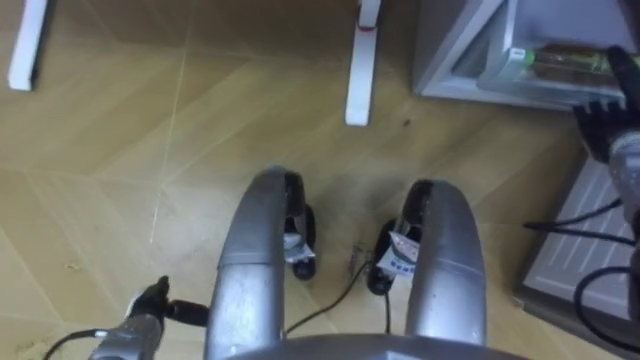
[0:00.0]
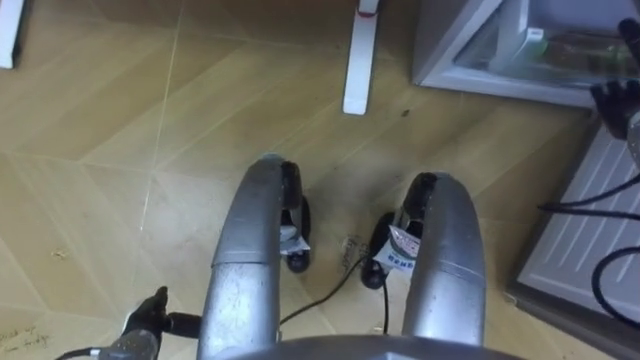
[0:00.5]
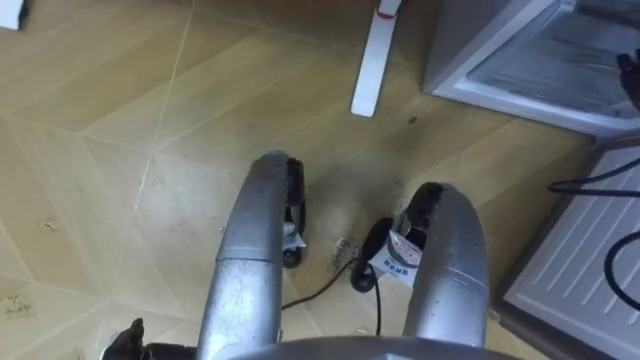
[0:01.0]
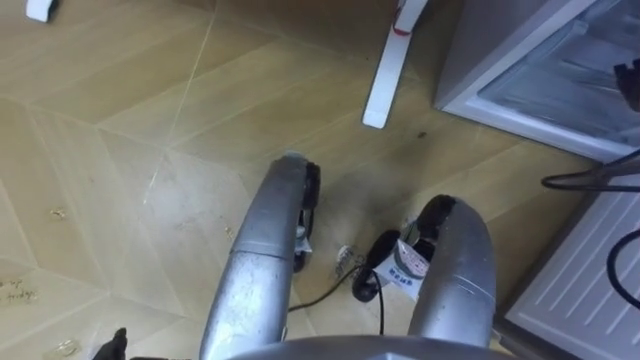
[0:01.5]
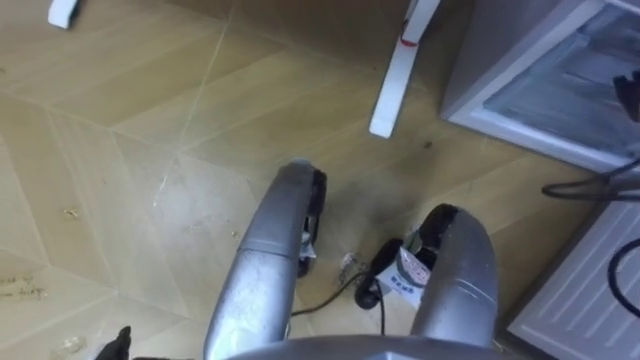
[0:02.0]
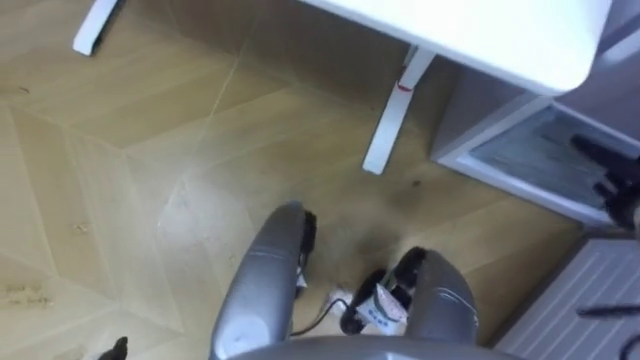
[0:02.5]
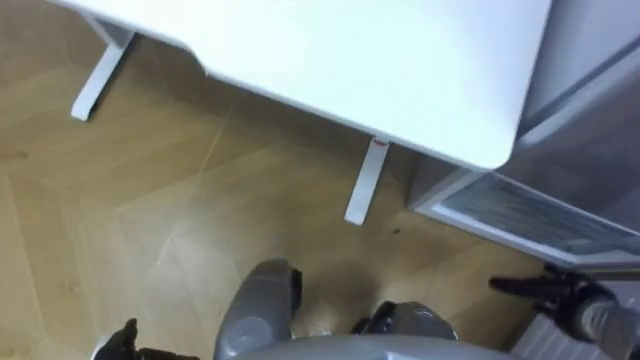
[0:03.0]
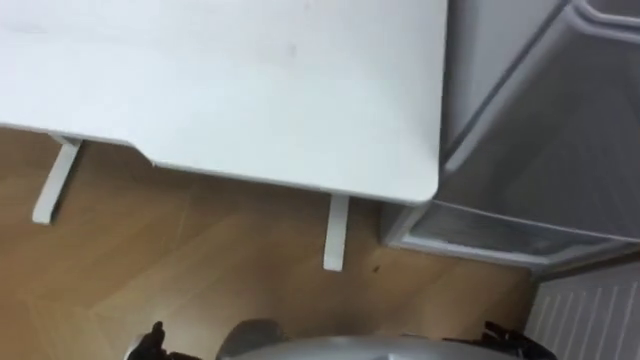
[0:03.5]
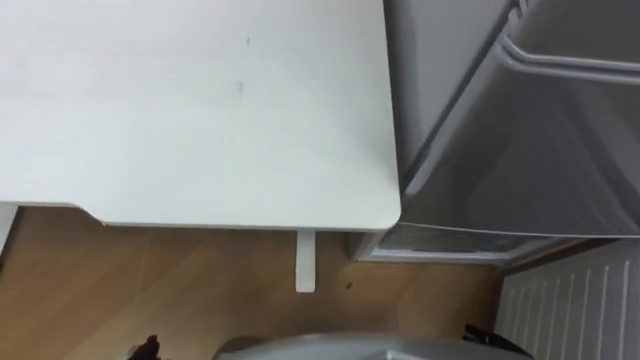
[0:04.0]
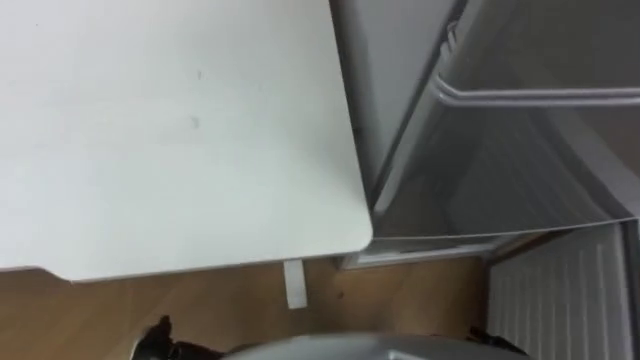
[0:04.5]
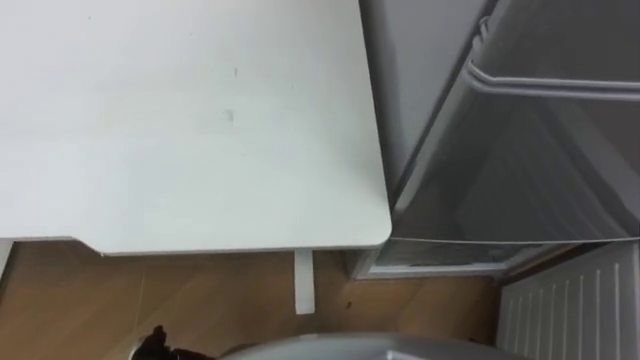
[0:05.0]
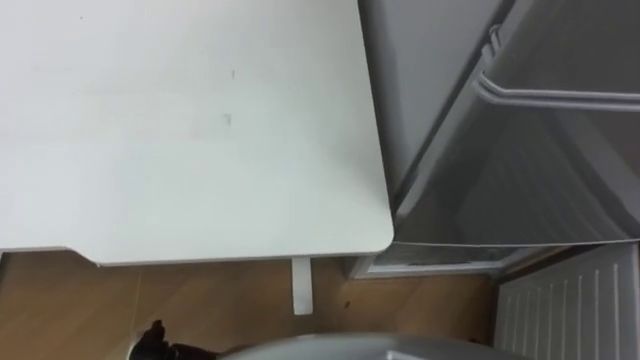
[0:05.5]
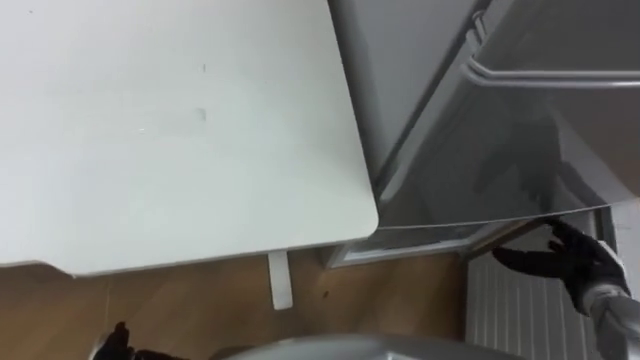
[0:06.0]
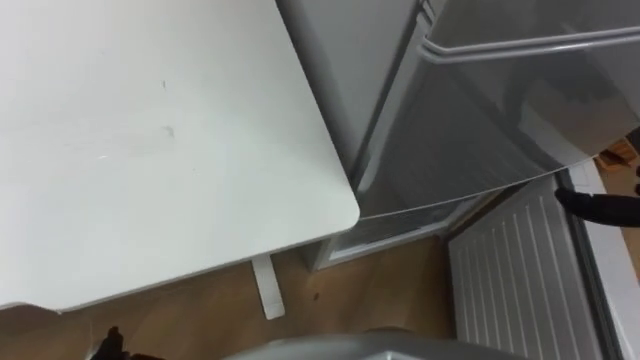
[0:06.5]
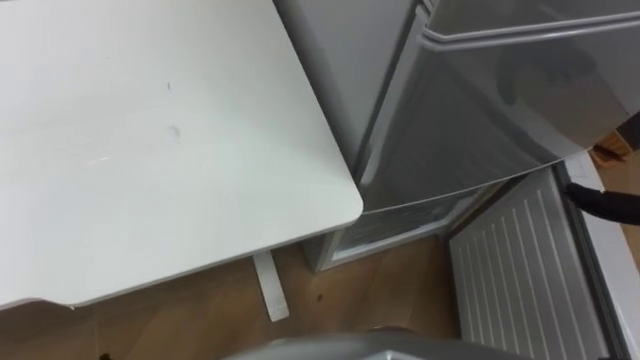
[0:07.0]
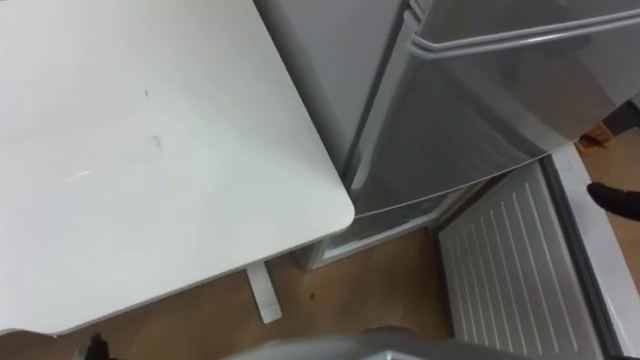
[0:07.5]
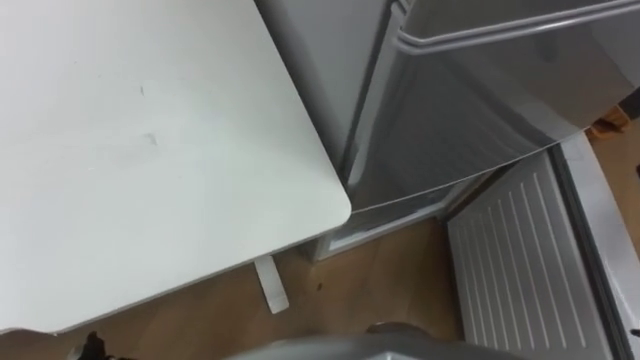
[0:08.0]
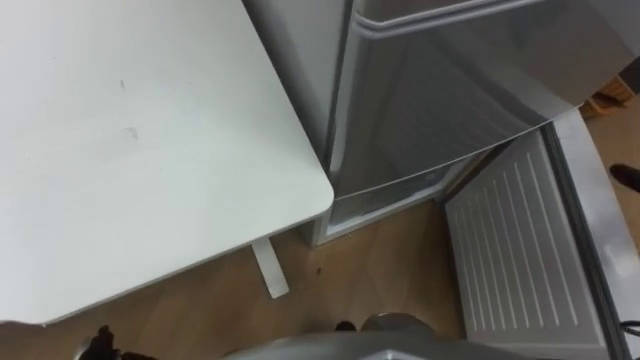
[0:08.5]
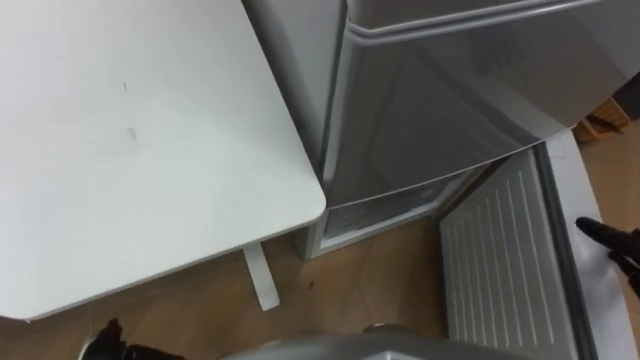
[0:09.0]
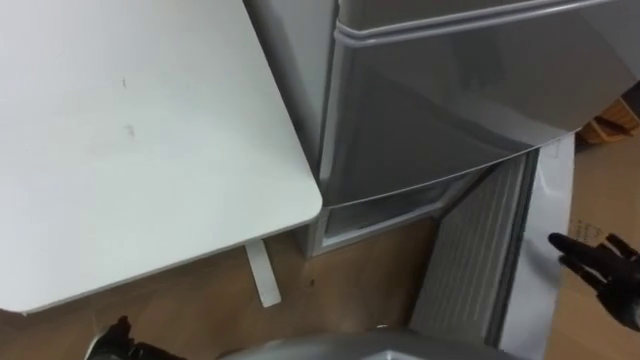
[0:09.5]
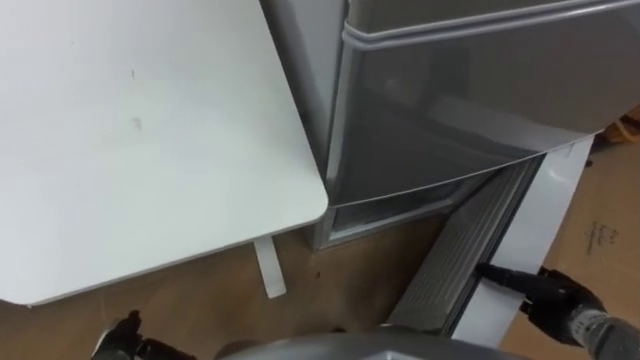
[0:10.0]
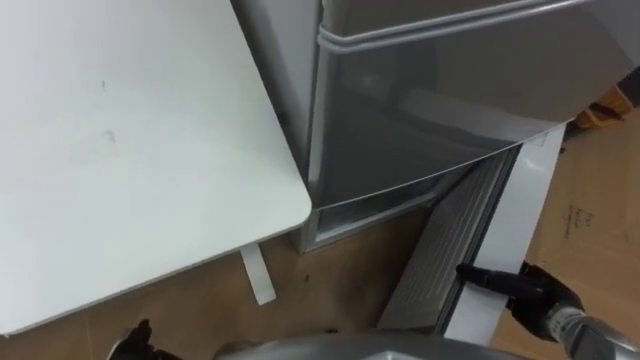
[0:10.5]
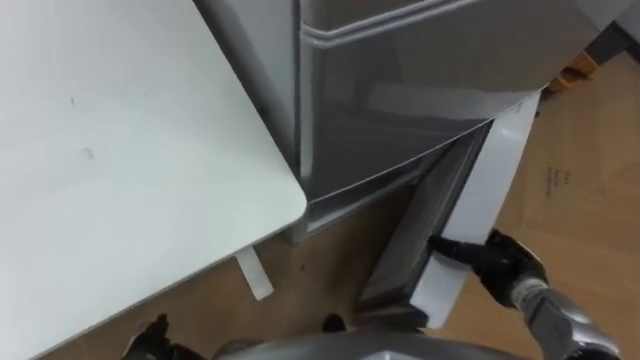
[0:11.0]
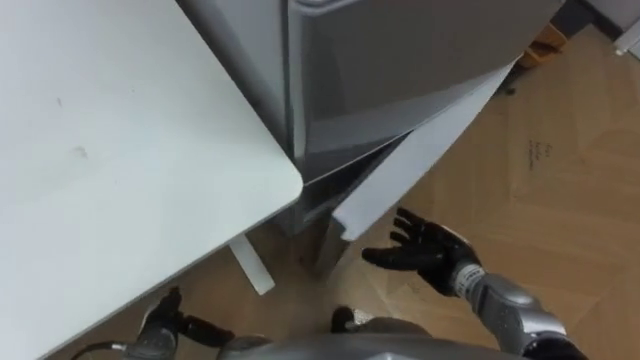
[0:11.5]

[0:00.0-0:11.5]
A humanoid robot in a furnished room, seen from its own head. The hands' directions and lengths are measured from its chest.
Task of the whole recording: Place the drink on the table on the bottom shelf of the refrigerator, then close the drawer and the refrigerator door.
0:09.5 to 0:11.5: The robot's body swings some 20 degrees to its right. The right hand shifts roughly 25 cm to the left.

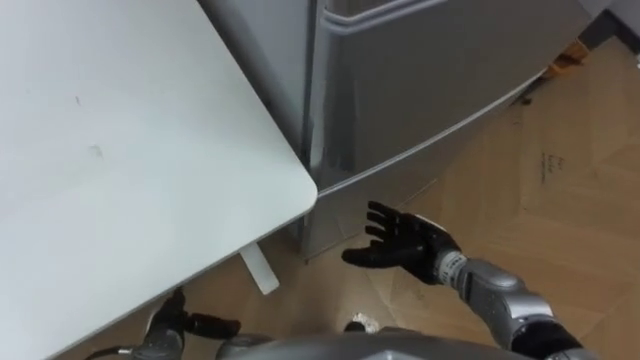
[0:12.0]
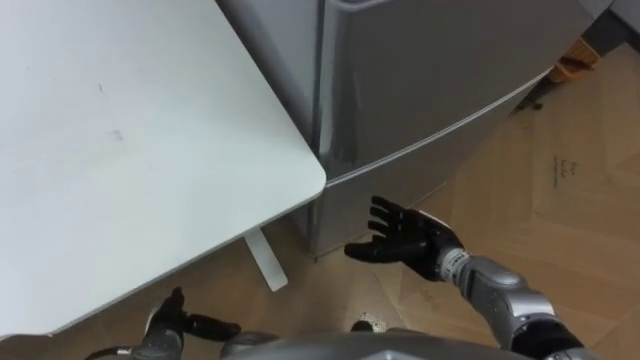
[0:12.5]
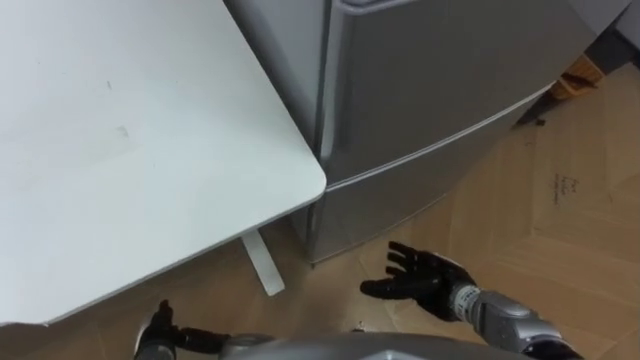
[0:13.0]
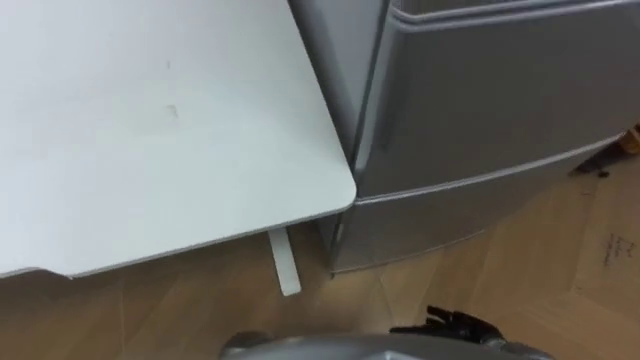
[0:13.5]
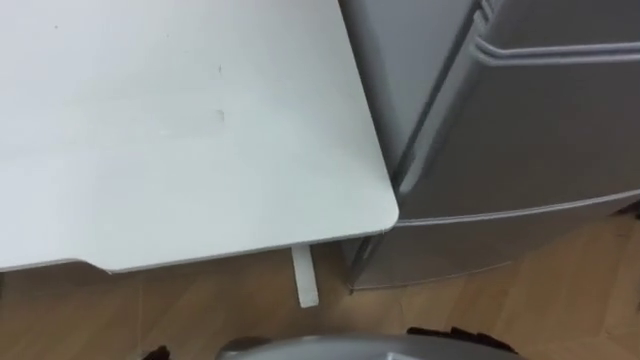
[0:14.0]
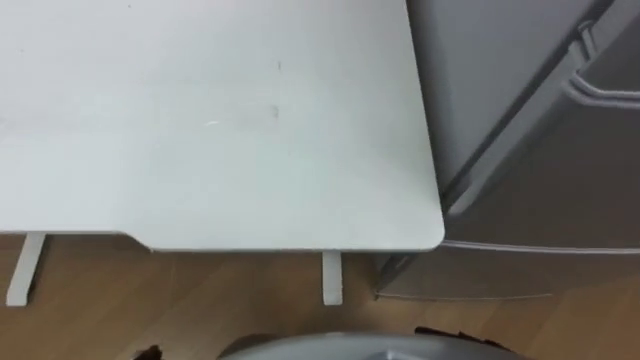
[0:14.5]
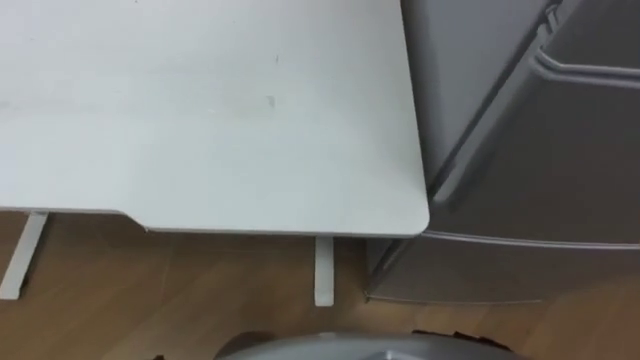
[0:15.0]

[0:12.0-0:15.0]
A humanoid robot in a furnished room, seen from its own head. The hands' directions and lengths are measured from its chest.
Task of the whole recording: Place the drink on the table on the bottom shelf of the refrigerator, then close the drawer and the refrigerator door.
0:12.0 to 0:13.5: The right hand travels backward, downward and to the right by about 15 cm.
0:13.5 to 0:15.0: The robot turns to its left by some 25 degrees.

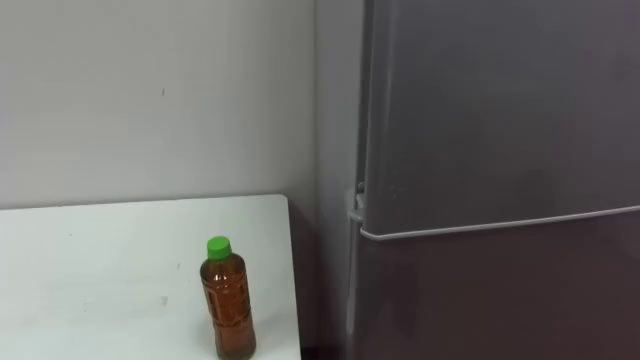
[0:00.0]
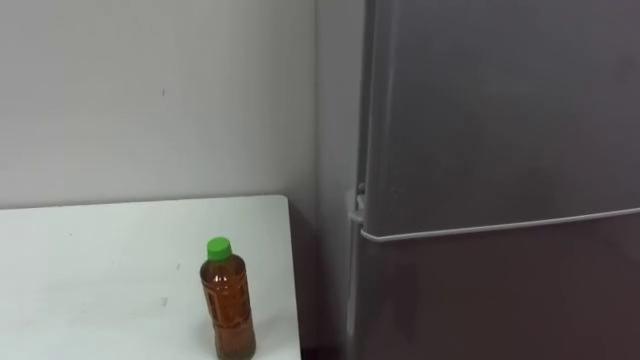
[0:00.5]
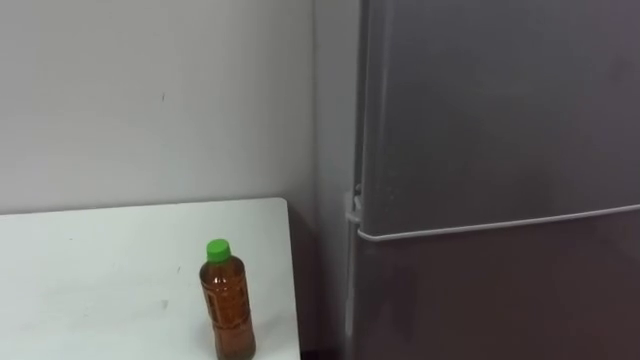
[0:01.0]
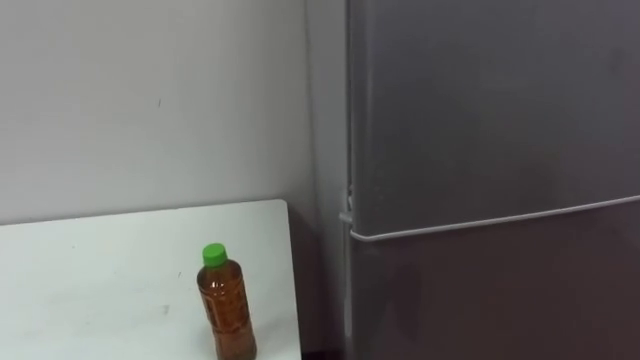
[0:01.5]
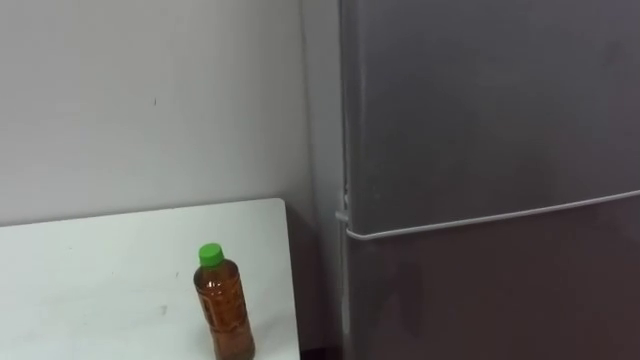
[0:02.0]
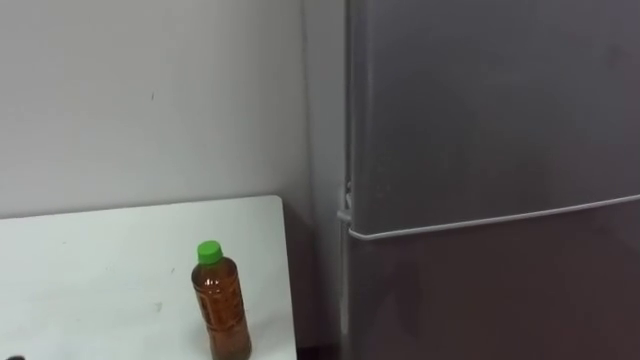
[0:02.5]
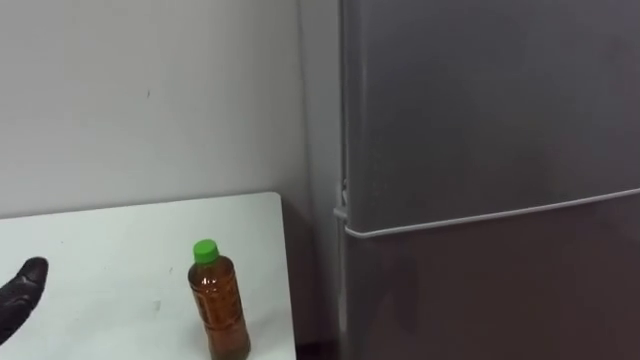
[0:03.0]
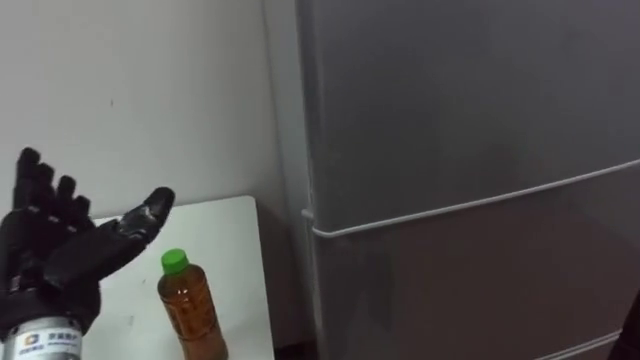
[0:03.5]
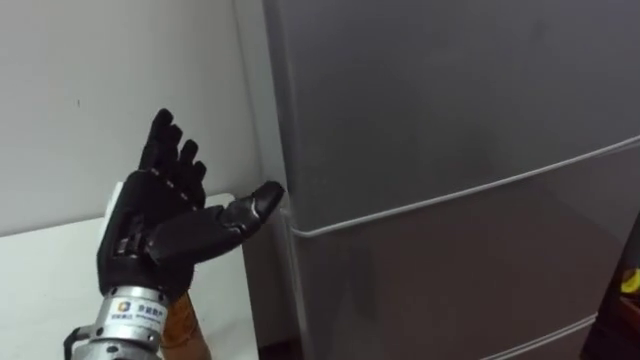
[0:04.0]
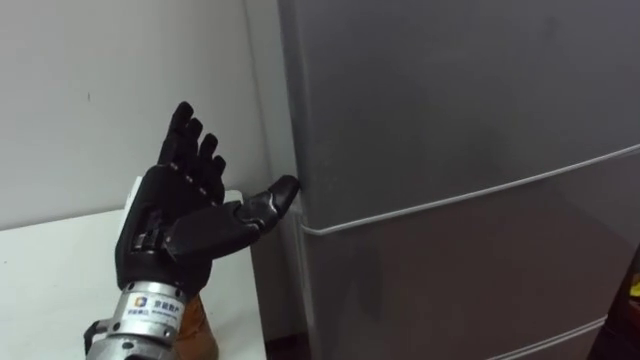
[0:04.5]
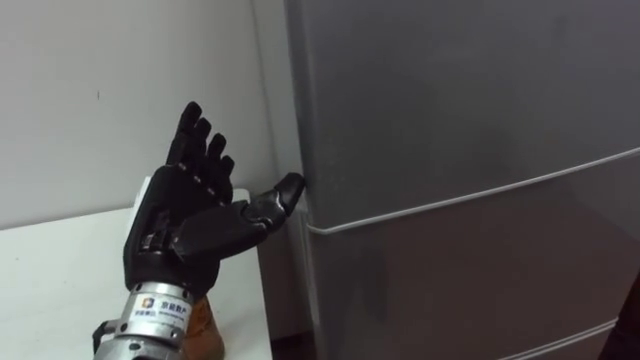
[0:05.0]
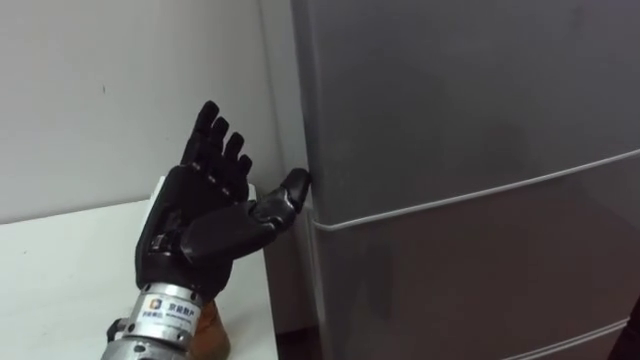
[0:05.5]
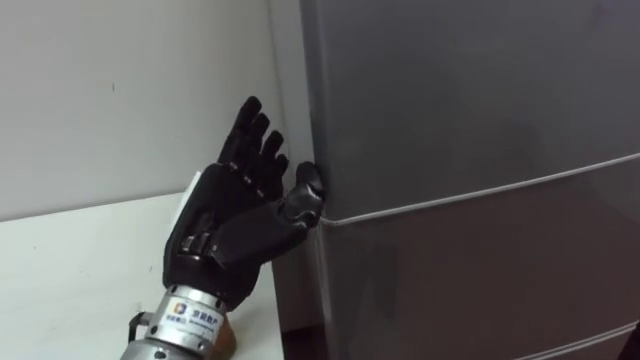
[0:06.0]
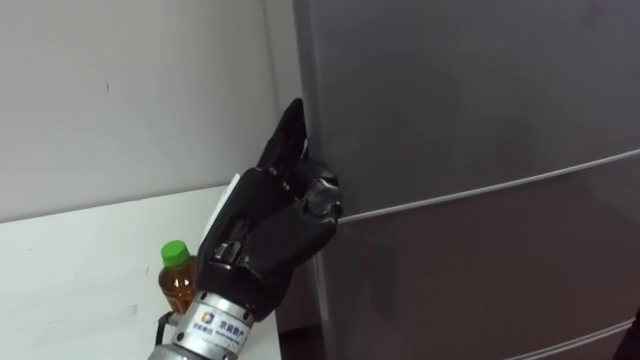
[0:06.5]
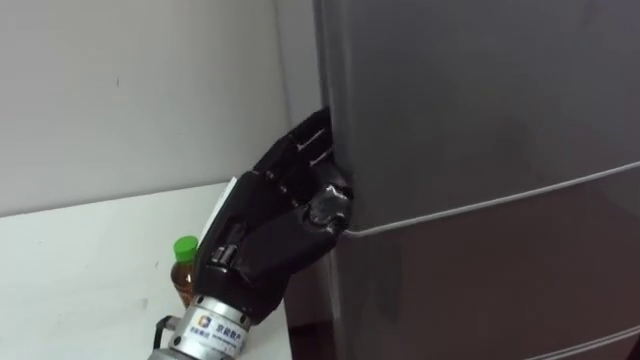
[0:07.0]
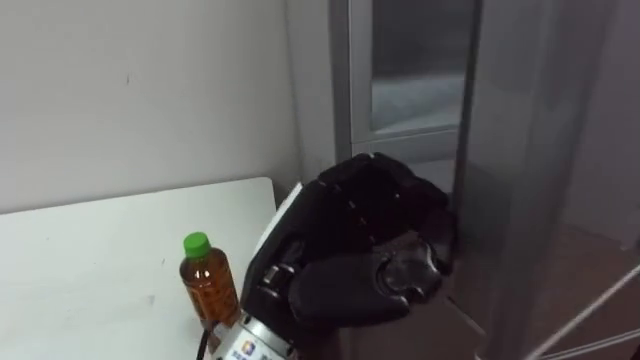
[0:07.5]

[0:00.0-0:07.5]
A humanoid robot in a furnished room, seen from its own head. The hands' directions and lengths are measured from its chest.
Task of the whole recording: Open the upper refrigerator door, put the drink from the table into the refrigerator, and then close the refrigerator door.
0:05.5 to 0:07.5: The left hand is displaced to the right by approximately 10 cm, and closes its fingers.
